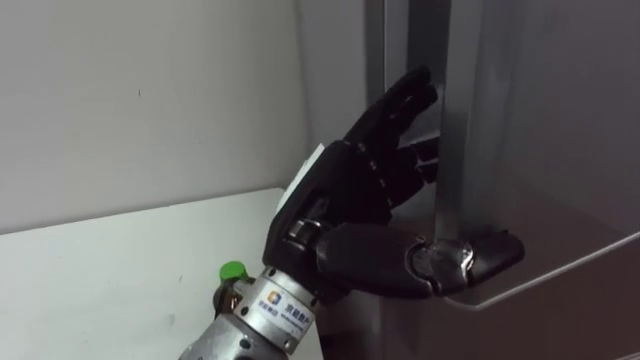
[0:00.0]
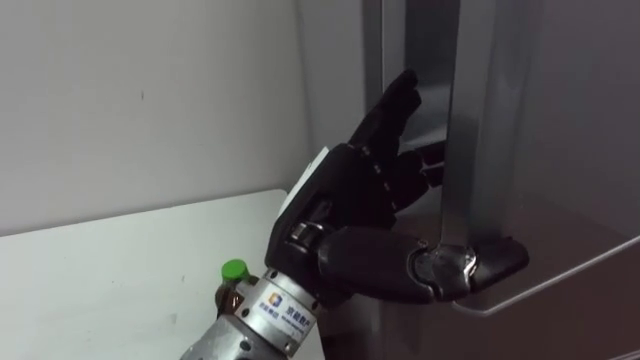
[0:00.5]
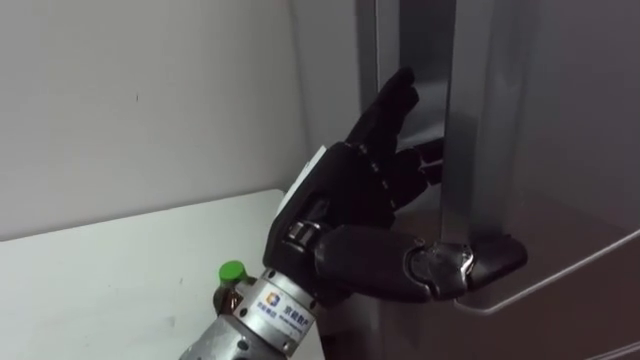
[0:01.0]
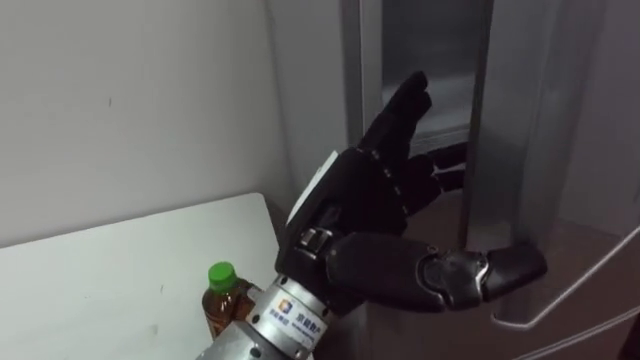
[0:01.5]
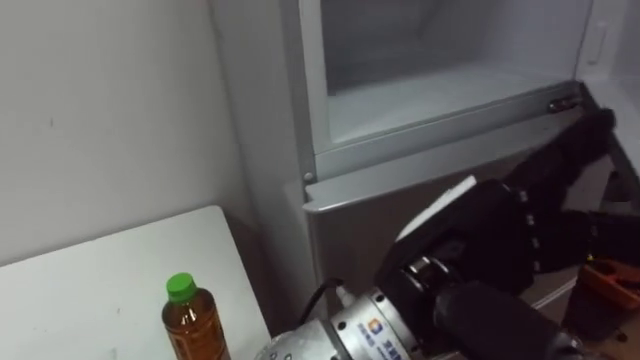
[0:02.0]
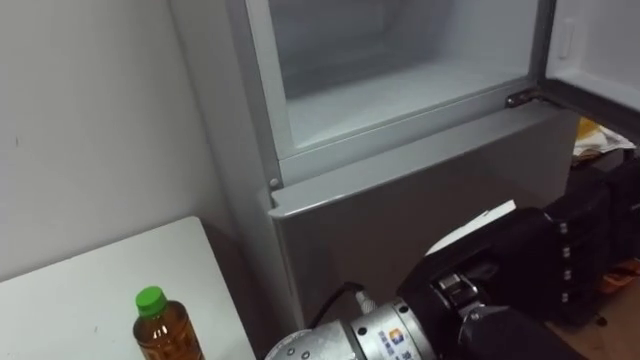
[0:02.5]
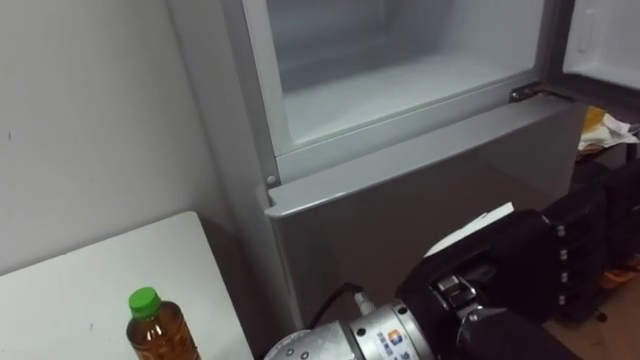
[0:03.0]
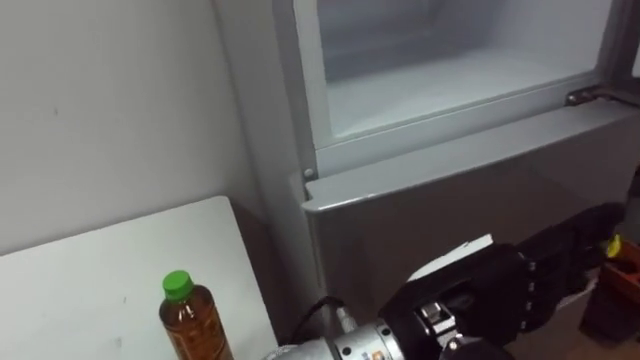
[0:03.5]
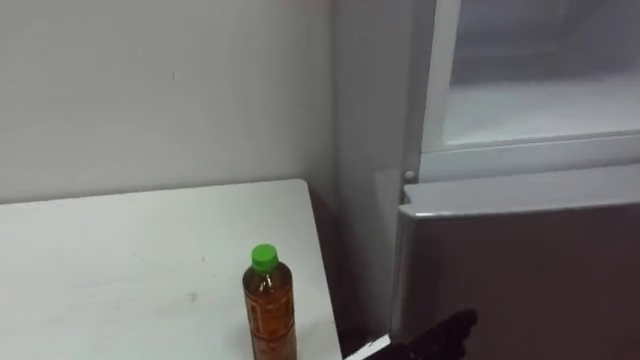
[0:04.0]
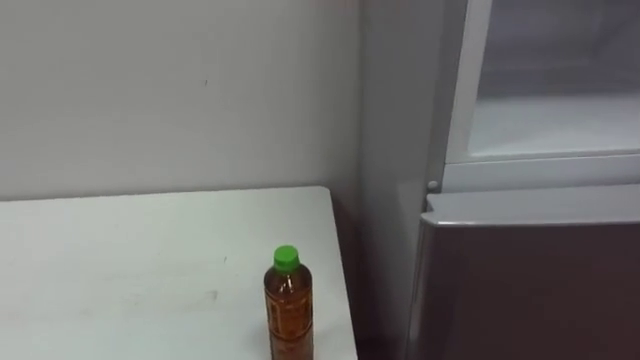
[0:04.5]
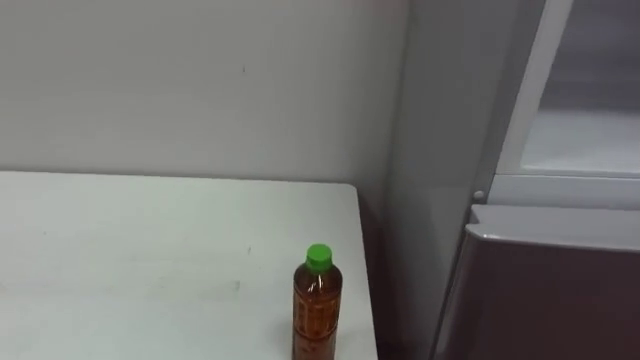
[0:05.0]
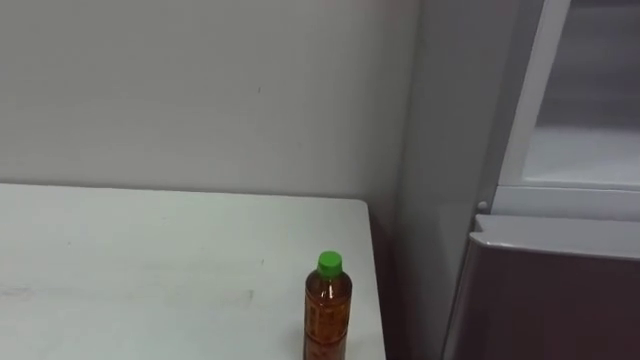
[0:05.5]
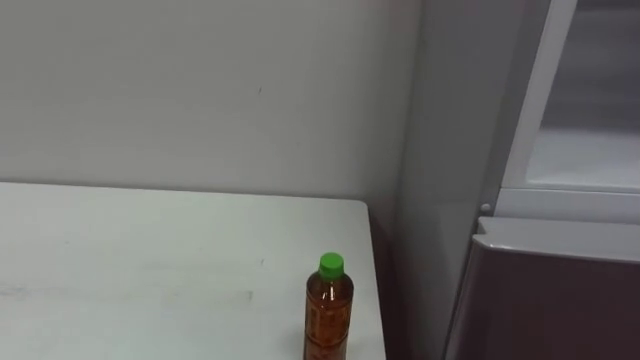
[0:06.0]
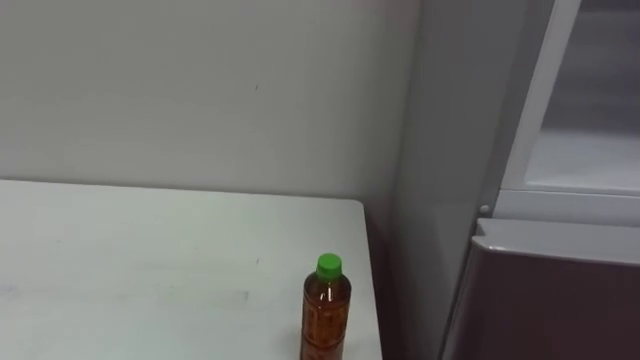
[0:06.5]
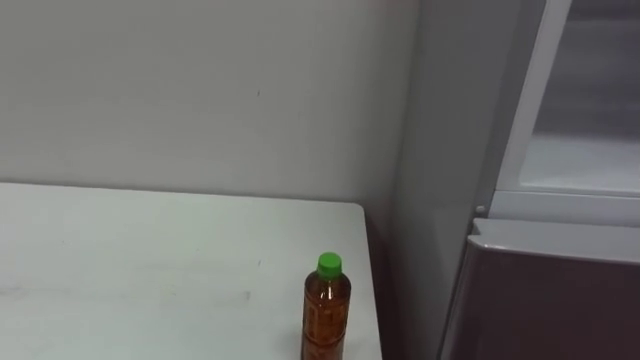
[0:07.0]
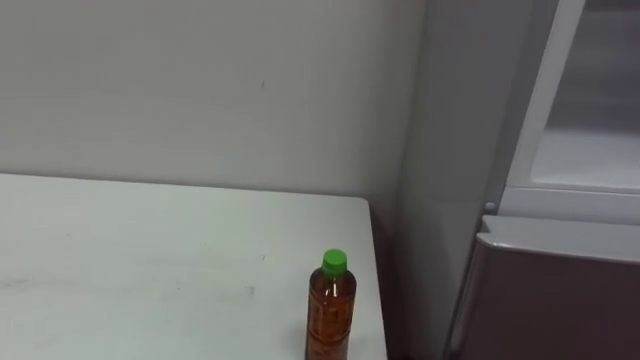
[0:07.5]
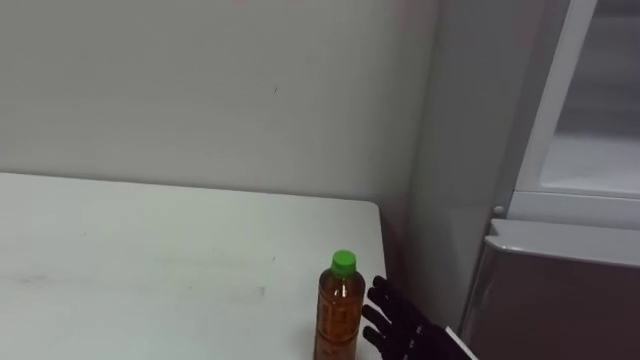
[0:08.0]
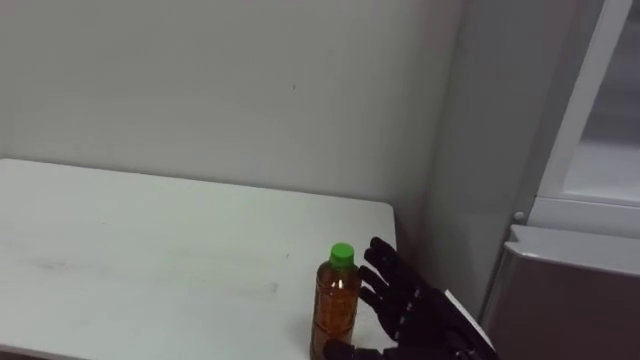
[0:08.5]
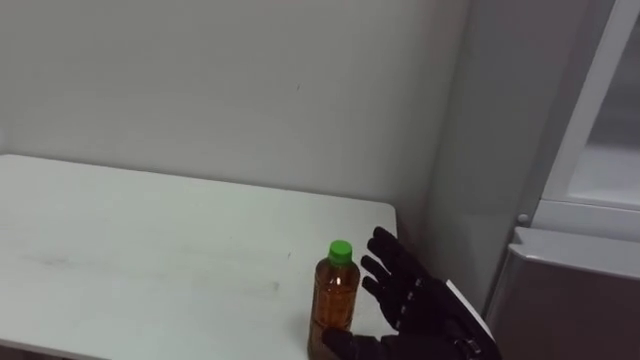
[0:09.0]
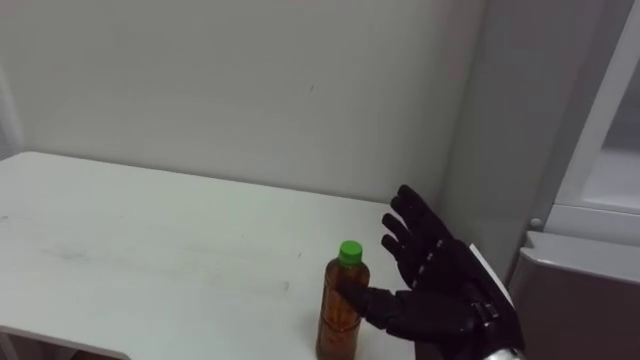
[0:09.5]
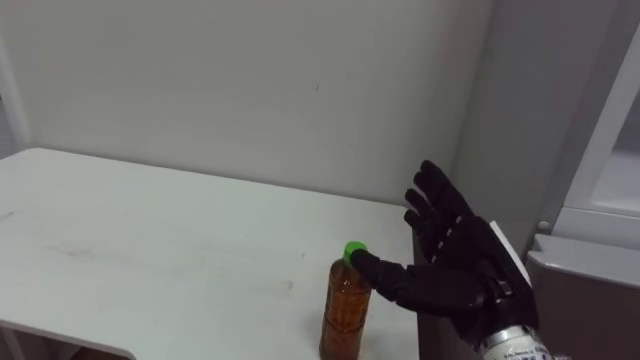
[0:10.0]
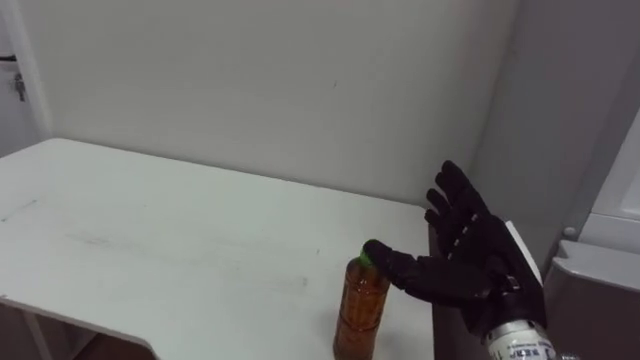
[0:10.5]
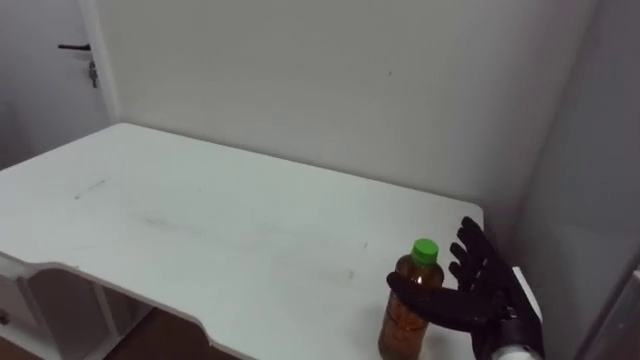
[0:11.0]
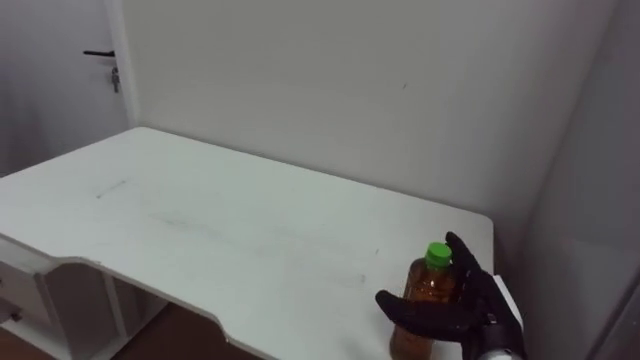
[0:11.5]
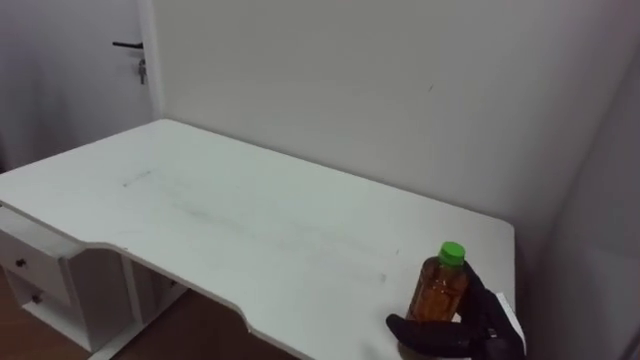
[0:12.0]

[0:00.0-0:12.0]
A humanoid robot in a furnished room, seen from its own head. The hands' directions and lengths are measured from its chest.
Task of the whole recording: Open the upper refrigerator door, put the drink from the table into the refrigerator, and then close the refrigerator door.
0:00.0 to 0:02.0: The left hand moves to the right, roughly 10 cm.
0:10.0 to 0:12.0: The right hand travels downward by about 10 cm.

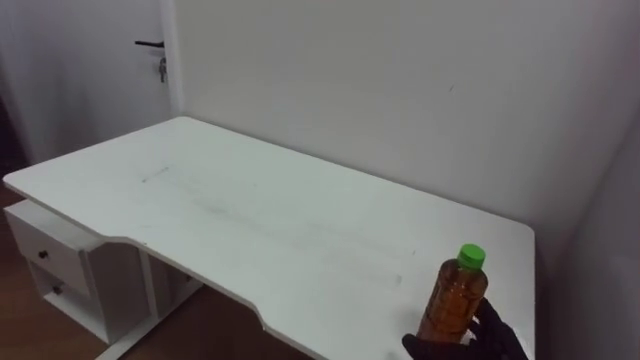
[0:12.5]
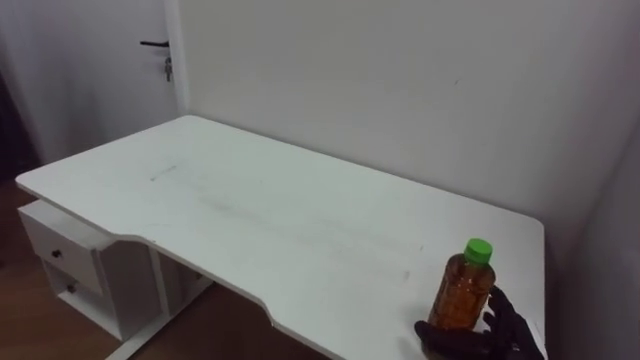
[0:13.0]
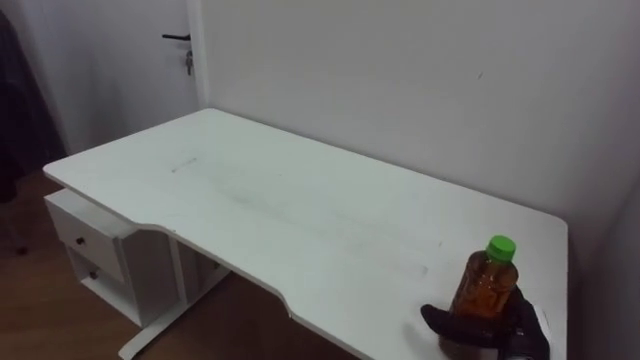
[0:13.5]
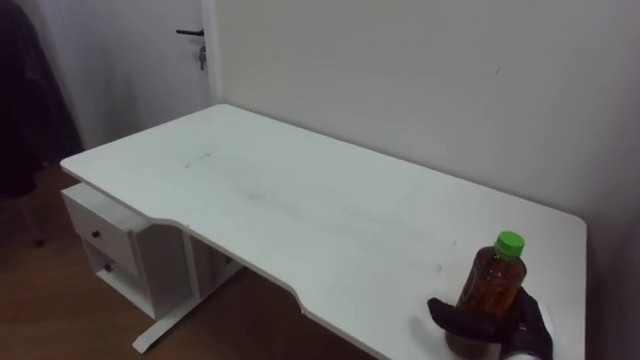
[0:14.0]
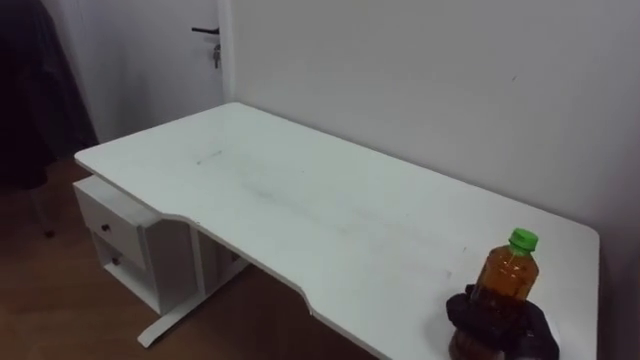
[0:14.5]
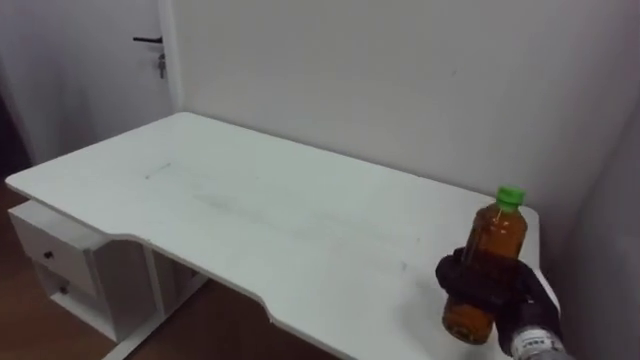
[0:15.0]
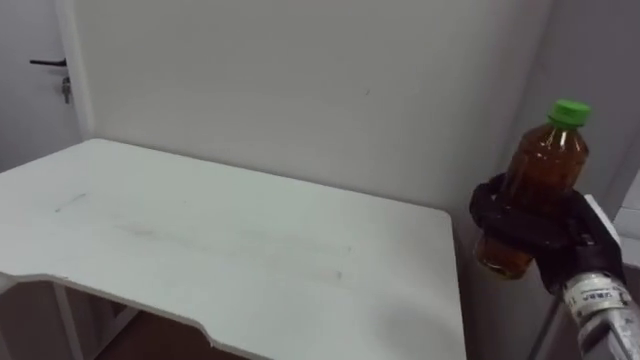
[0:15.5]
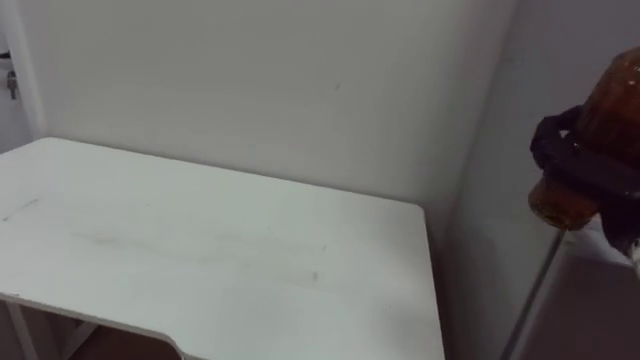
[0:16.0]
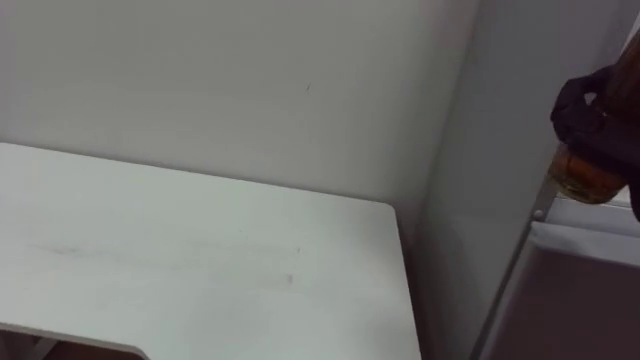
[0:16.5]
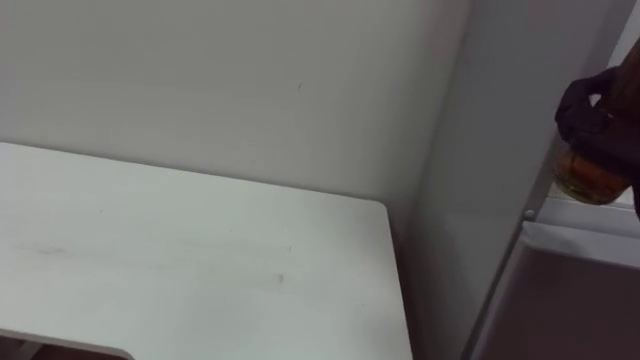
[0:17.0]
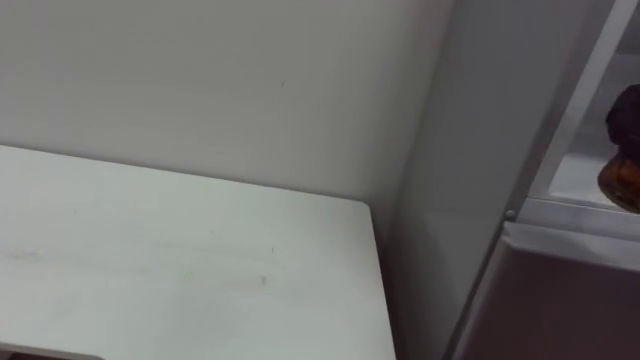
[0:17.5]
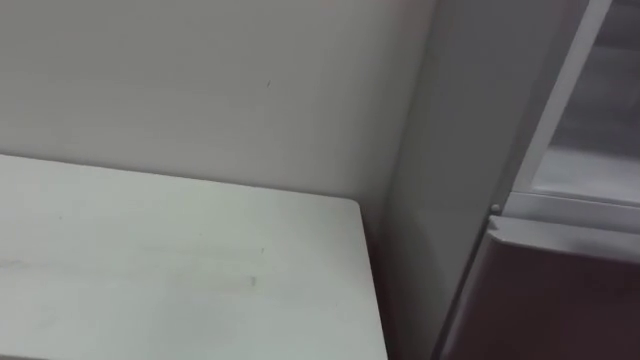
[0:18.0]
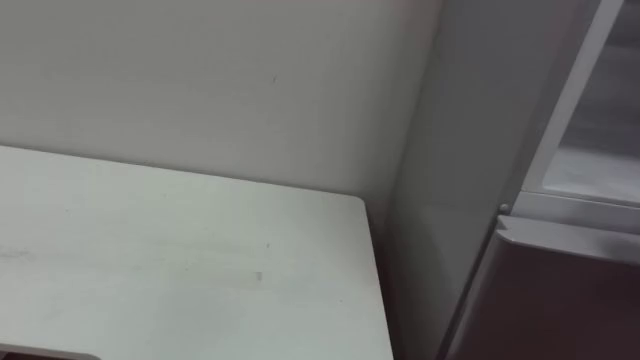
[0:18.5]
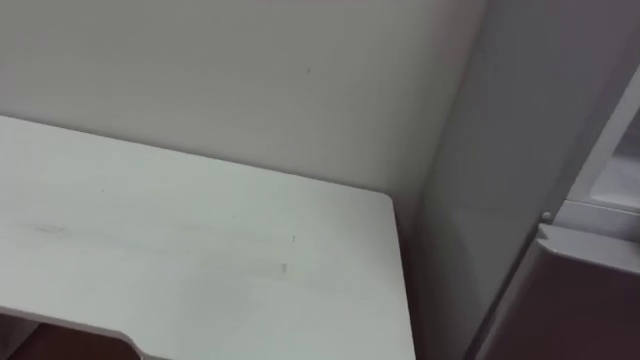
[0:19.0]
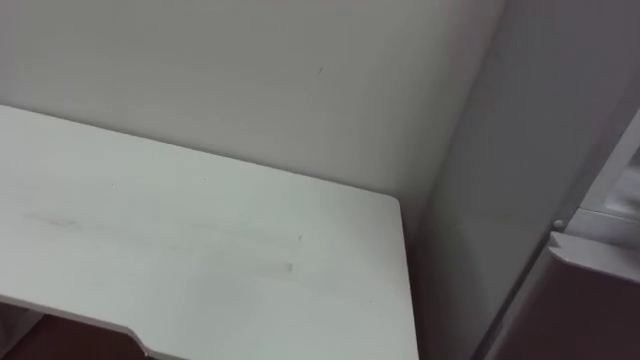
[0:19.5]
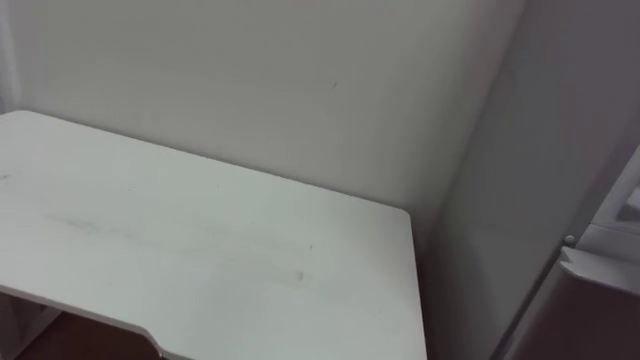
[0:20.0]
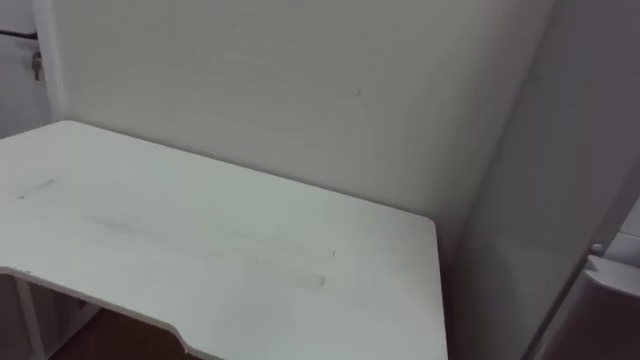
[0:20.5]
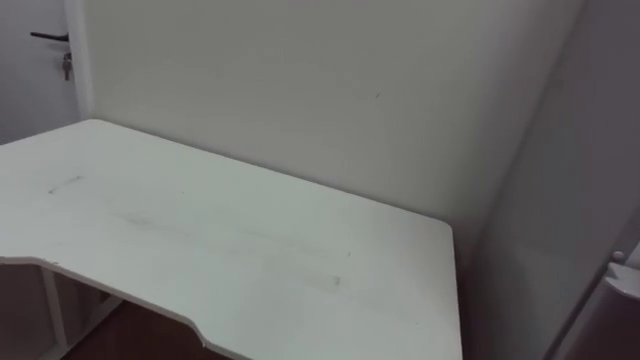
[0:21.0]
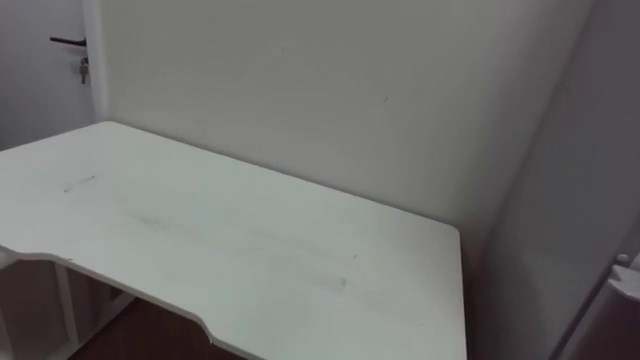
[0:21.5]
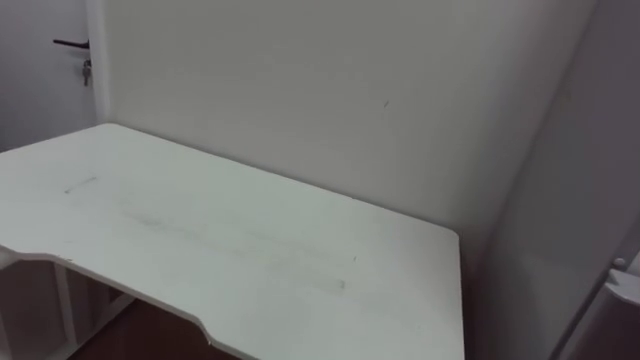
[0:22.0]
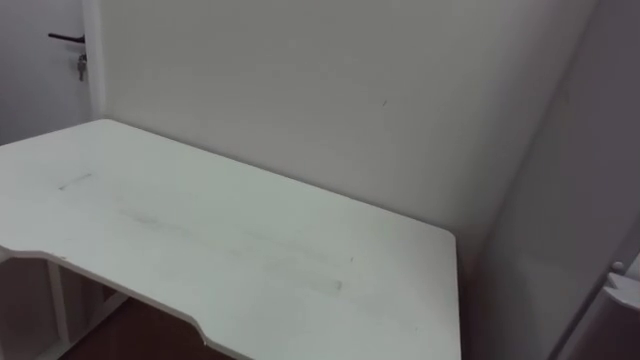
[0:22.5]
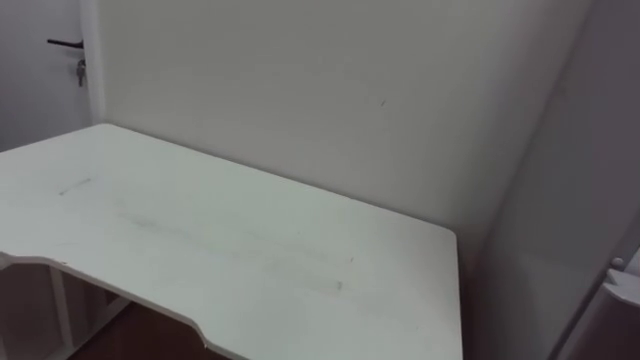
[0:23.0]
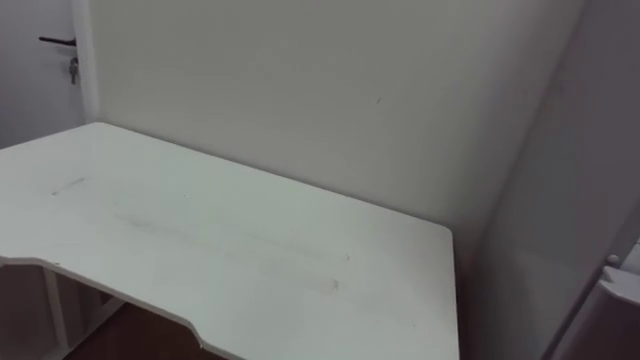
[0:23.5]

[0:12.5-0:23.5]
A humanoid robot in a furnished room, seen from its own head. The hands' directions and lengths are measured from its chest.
Task of the whole recording: Open the upper refrigerator door, put the drink from the table into the refrigerator, and then close the refrigerator door.
0:12.5 to 0:14.5: The right hand closes its fingers.
0:14.5 to 0:16.0: The right hand heads upward, covering roughly 20 cm.
